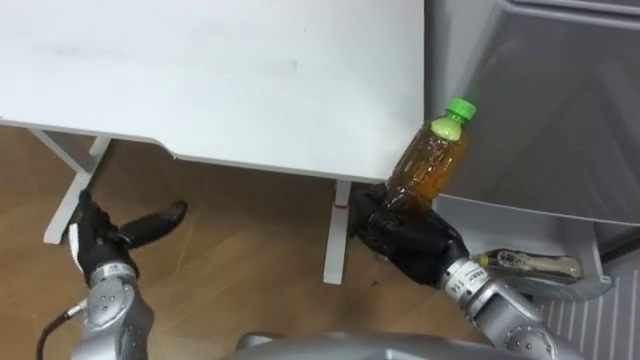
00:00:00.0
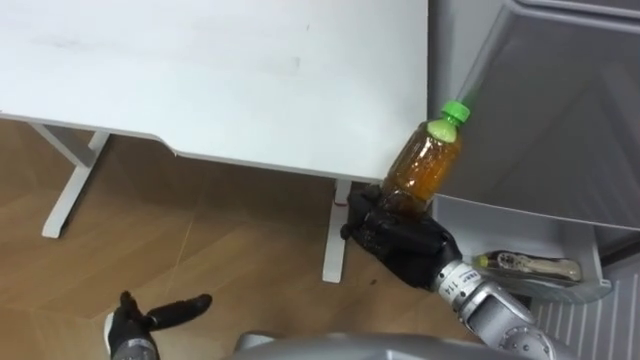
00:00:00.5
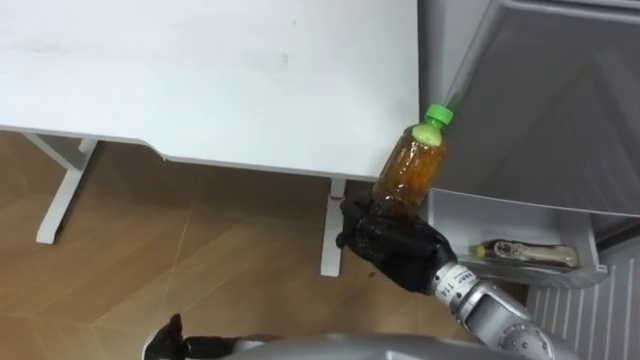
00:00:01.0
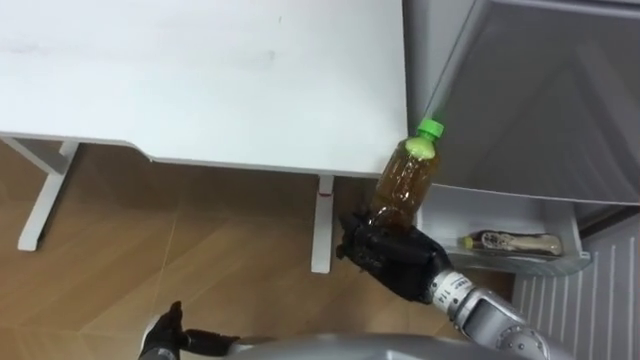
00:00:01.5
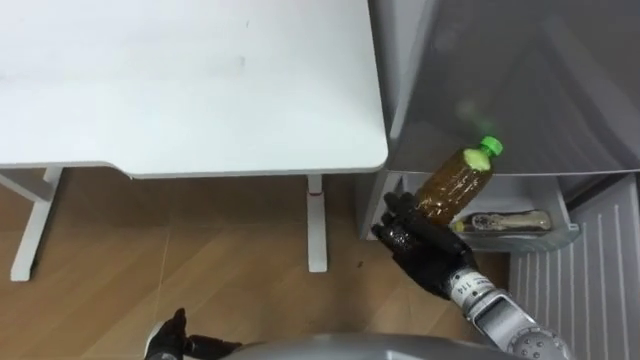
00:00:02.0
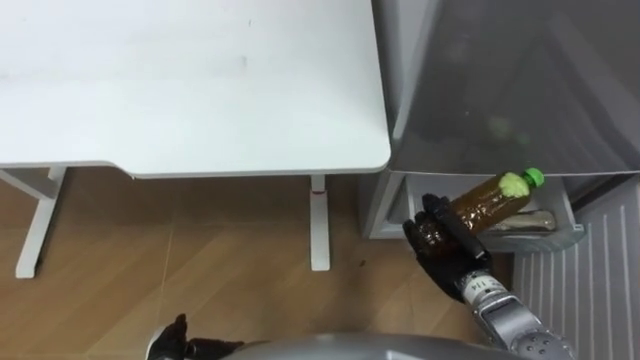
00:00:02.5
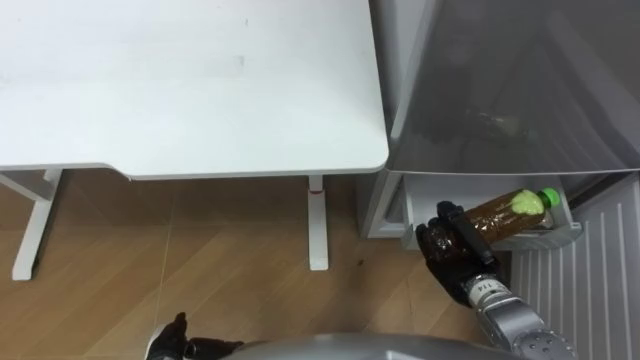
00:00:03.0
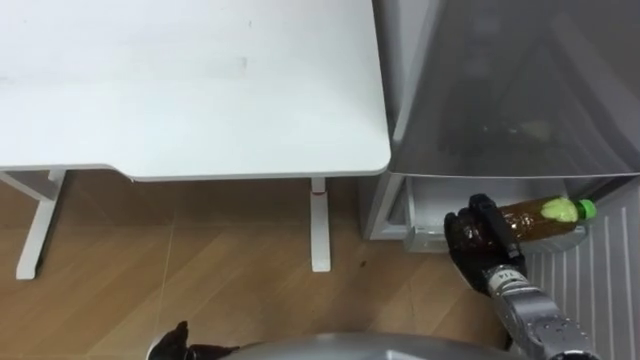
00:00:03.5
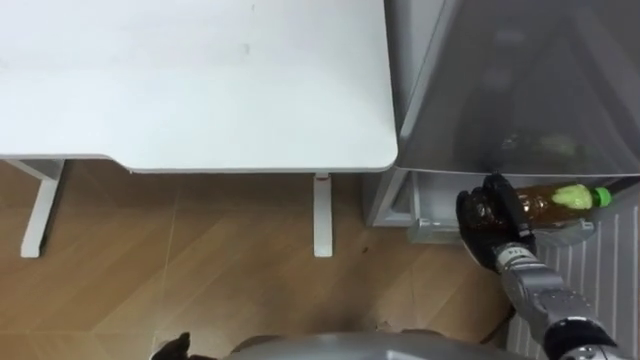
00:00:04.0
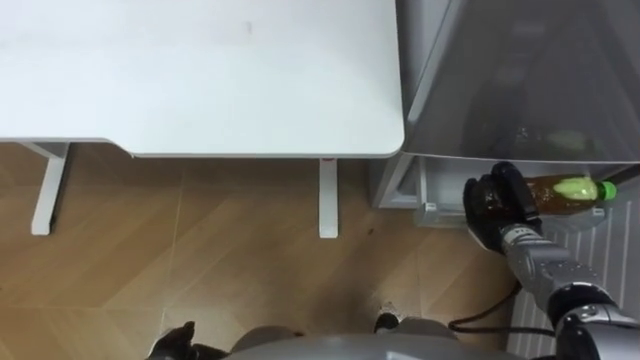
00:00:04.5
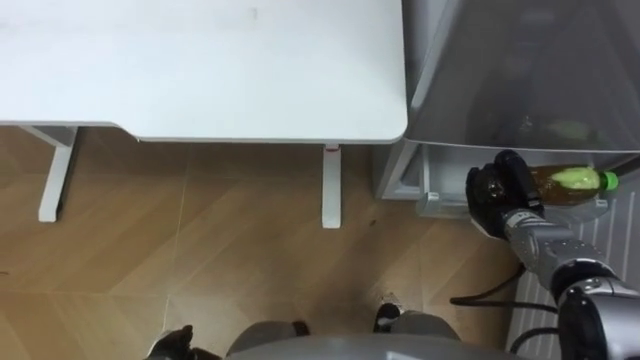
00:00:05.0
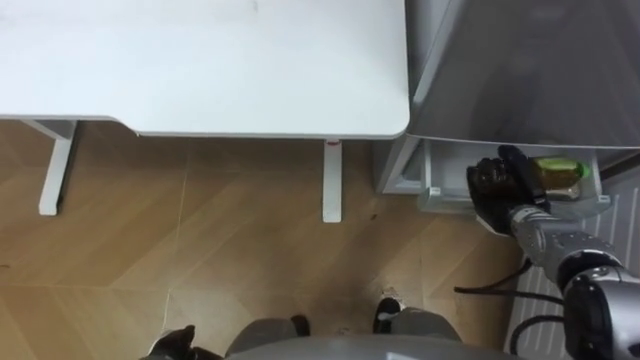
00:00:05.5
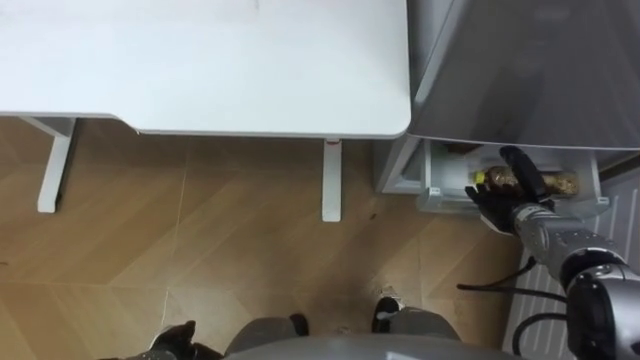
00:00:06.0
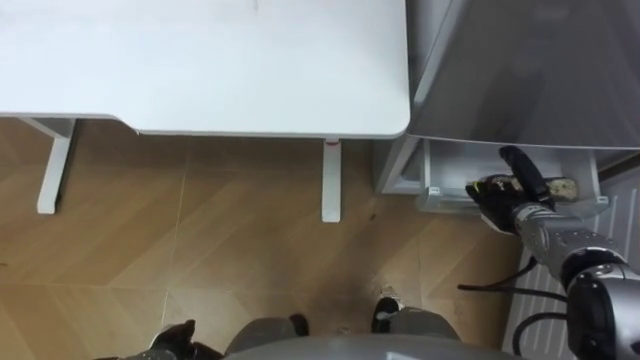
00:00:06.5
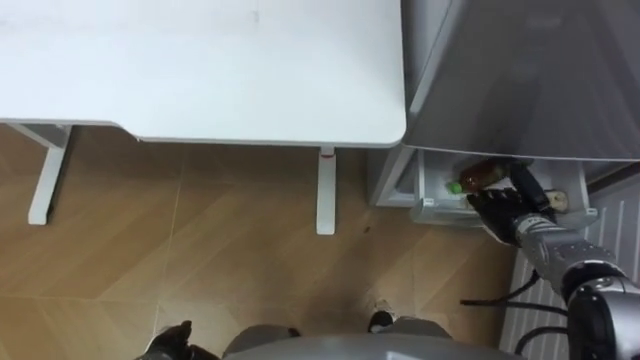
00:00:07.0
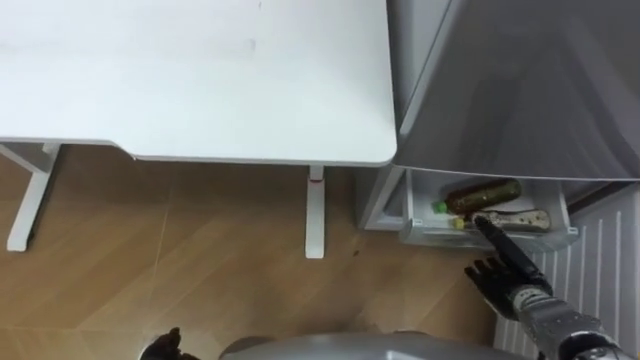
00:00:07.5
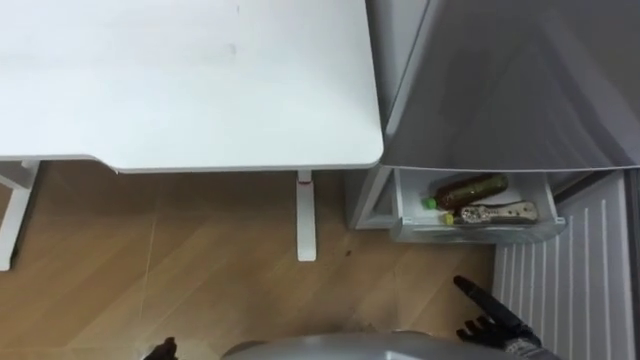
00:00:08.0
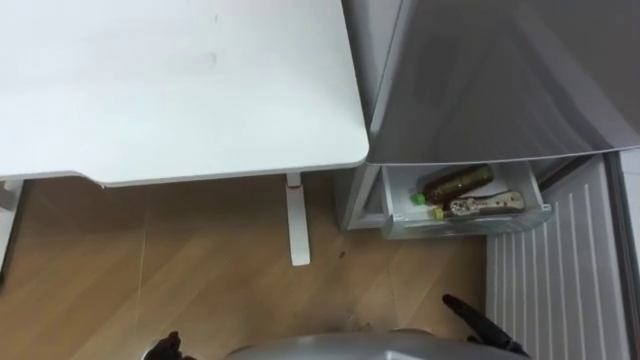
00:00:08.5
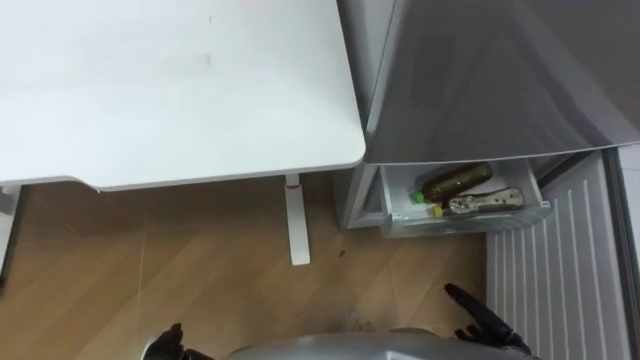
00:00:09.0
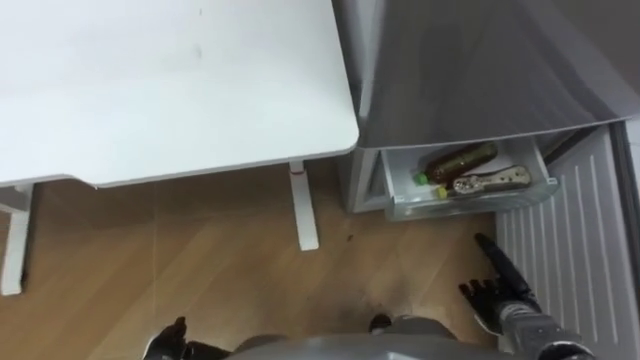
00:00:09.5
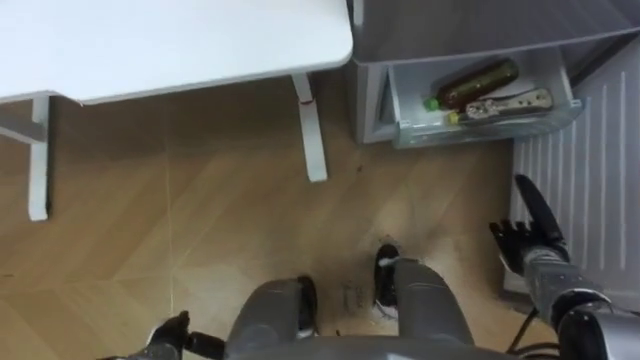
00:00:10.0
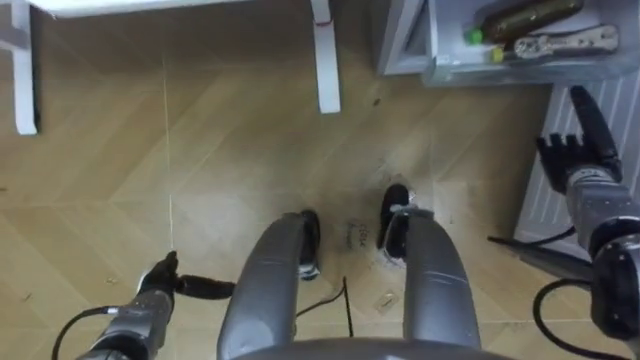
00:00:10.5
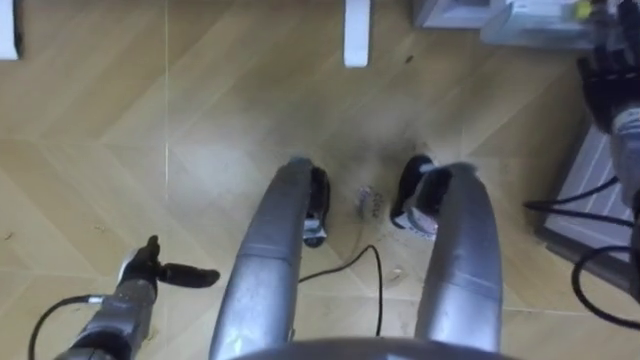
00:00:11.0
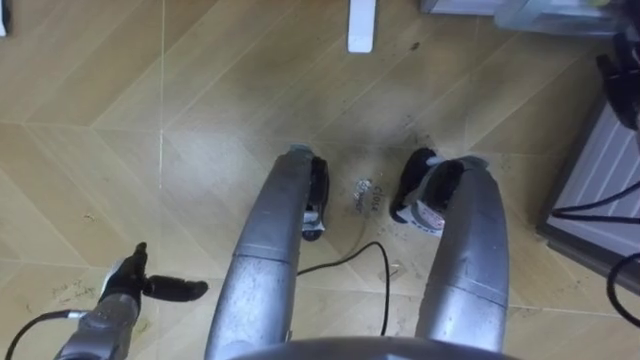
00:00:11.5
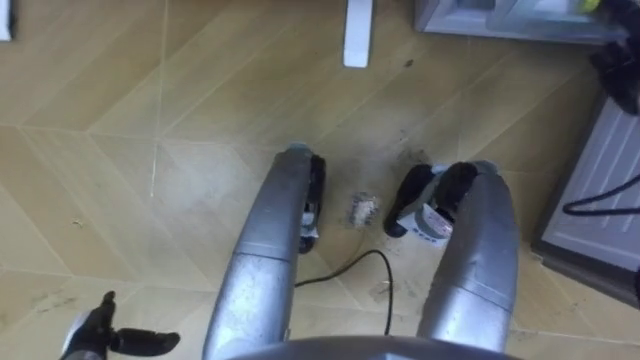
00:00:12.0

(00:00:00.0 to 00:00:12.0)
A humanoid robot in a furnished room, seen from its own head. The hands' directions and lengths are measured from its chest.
Task of the whole recording: Place the drink on the table on the bottom shelf of the refrigerator, then close the drawer and the refrigerator door.
00:00:00.0 - 00:00:02.0: The right hand moves approximately 5 cm.
00:00:02.0 - 00:00:04.0: The right hand goes approximately 10 cm to the right.
00:00:04.0 - 00:00:06.0: The right hand moves about 5 cm, and opens up.
00:00:06.0 - 00:00:08.0: The right hand shifts roughly 20 cm backward and downward.
00:00:08.0 - 00:00:10.0: The right hand is displaced forward by approximately 10 cm.
00:00:10.0 - 00:00:12.0: The right hand is displaced upward, forward and to the right by approximately 30 cm; the left hand goes approximately 10 cm to the left, and travels forward and back again, some 10 cm each way.

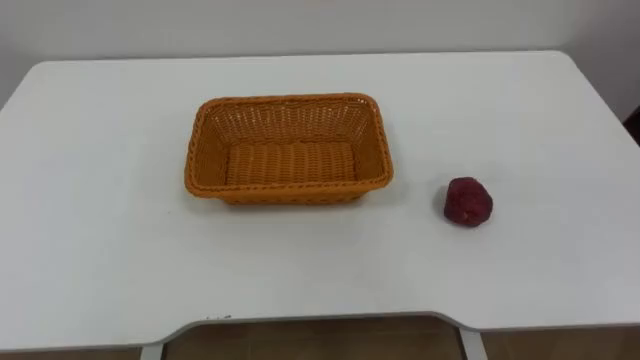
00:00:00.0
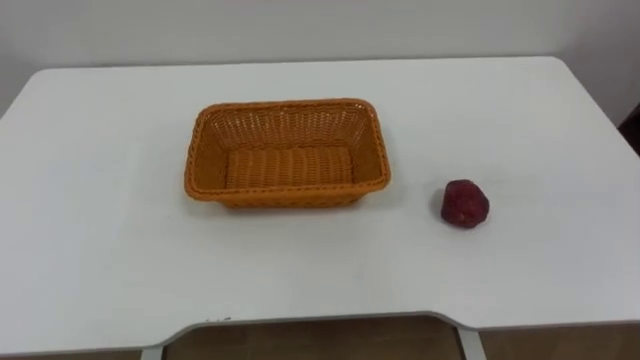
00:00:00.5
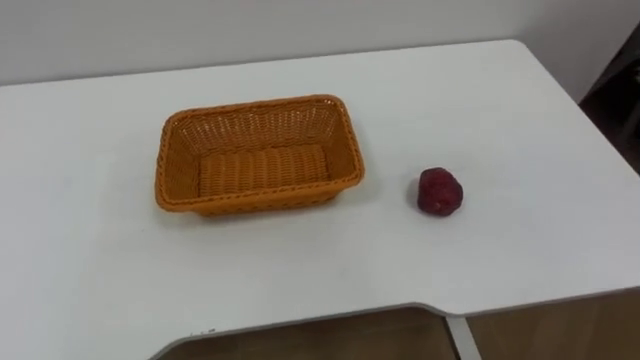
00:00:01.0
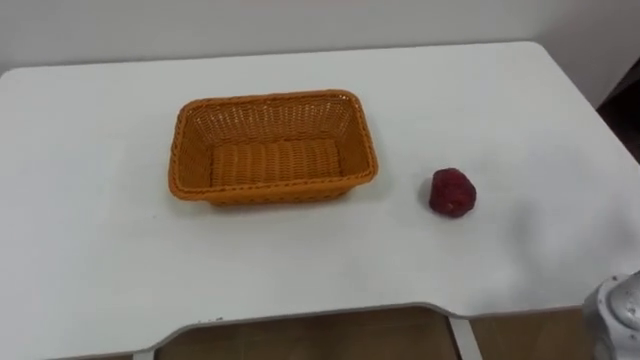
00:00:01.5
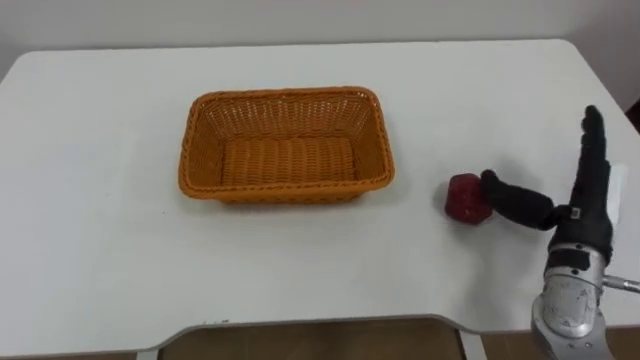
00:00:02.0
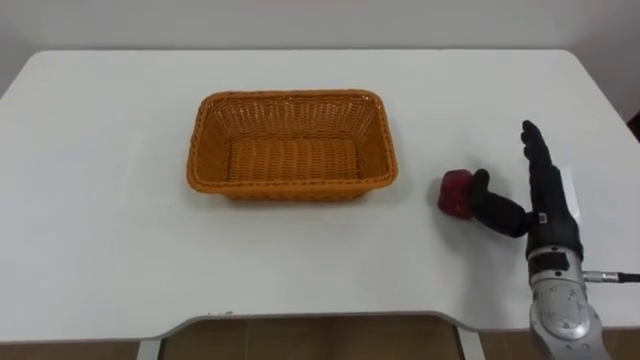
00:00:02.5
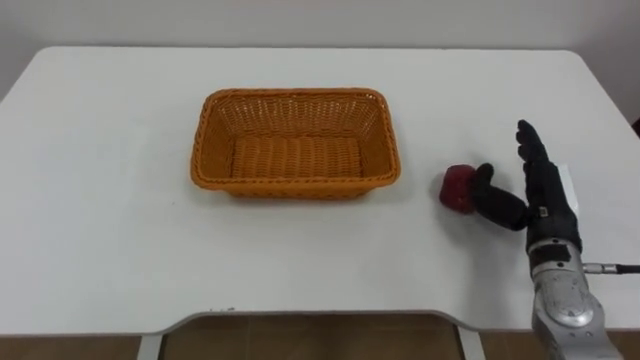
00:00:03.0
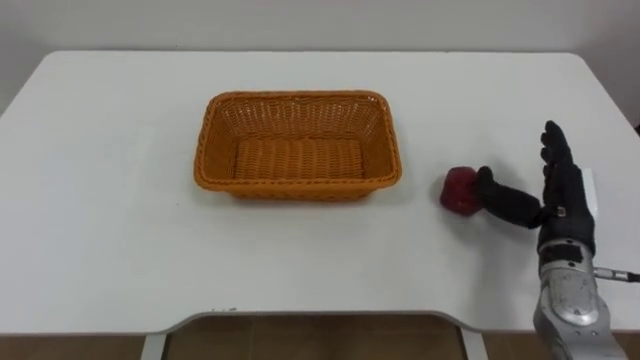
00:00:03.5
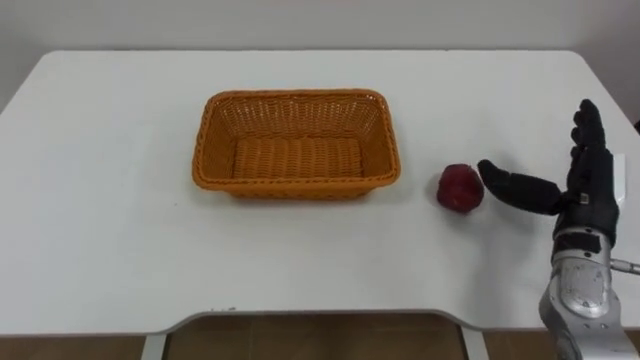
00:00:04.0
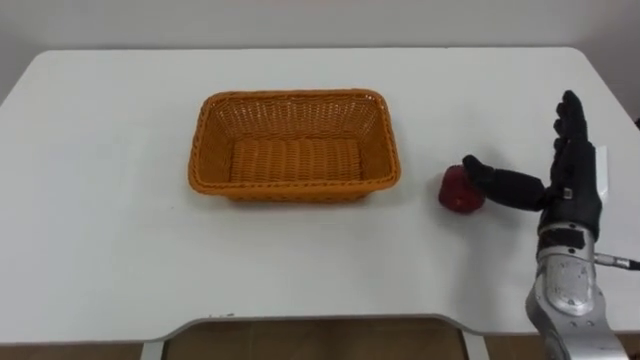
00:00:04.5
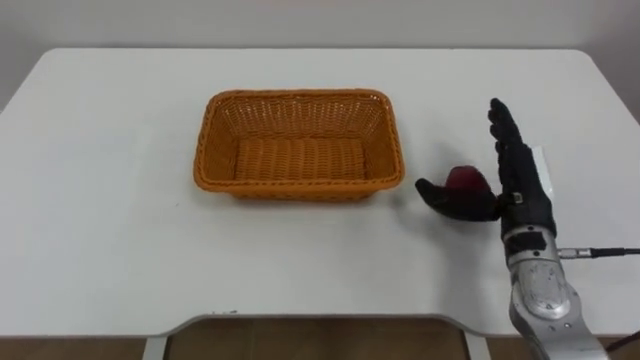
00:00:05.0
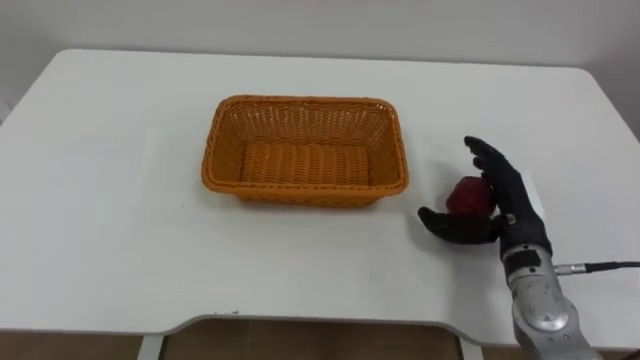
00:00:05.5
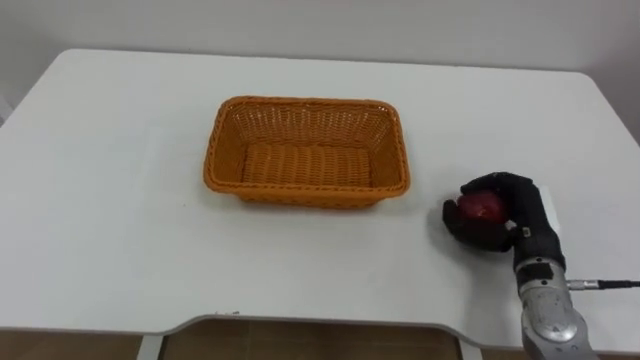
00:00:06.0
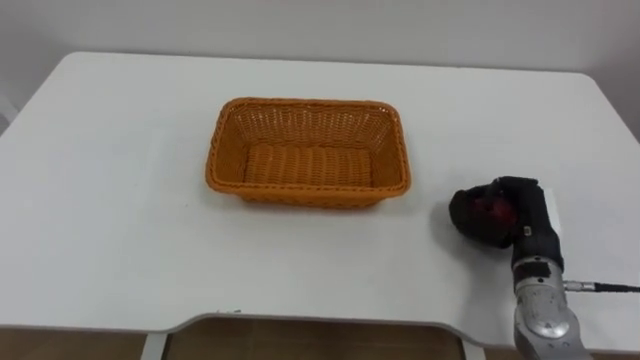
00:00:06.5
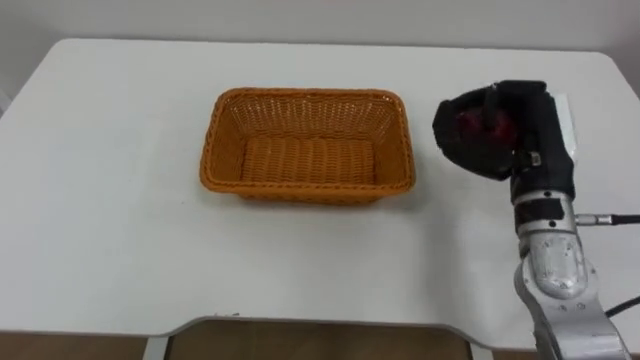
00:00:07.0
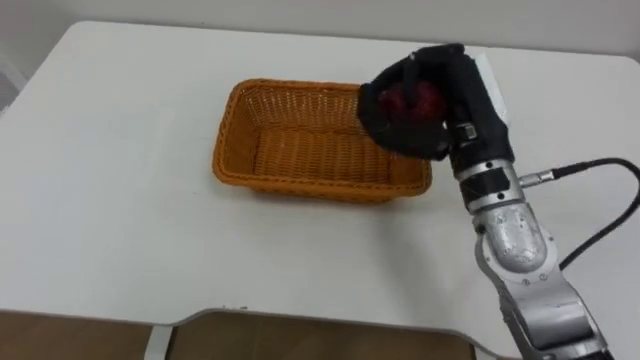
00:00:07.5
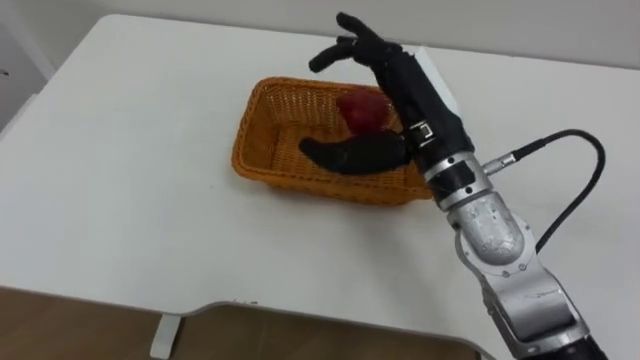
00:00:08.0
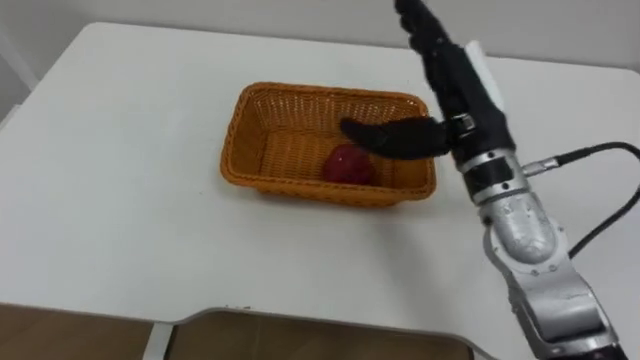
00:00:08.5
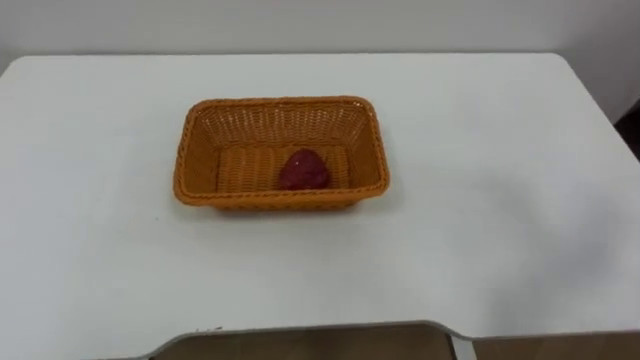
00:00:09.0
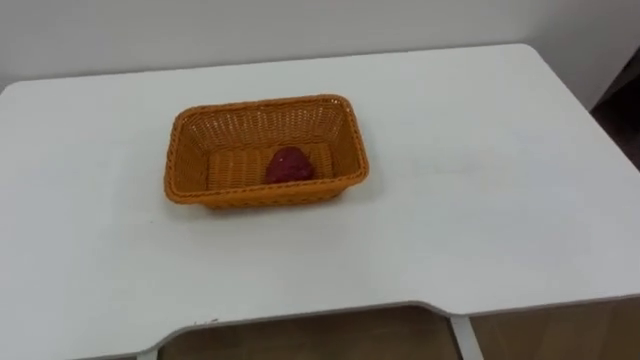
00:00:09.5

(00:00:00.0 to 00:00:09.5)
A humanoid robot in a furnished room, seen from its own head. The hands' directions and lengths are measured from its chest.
Task of the whole recording: Pick the apple and place it in the box.
00:00:04.0 - 00:00:05.5: The right hand moves to the left, about 5 cm.
00:00:05.5 - 00:00:07.5: The right hand shifts roughly 15 cm upward and to the left, and closes up.
